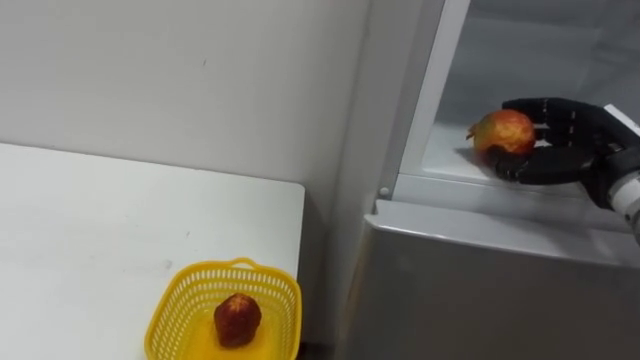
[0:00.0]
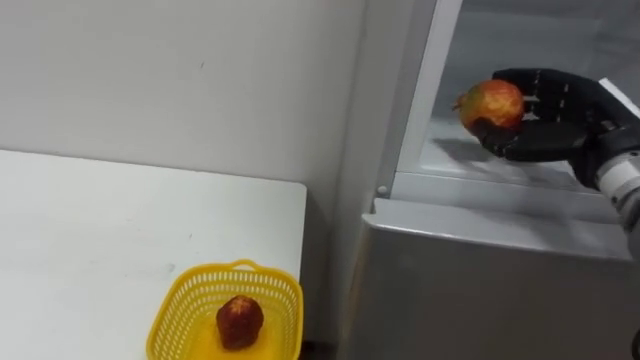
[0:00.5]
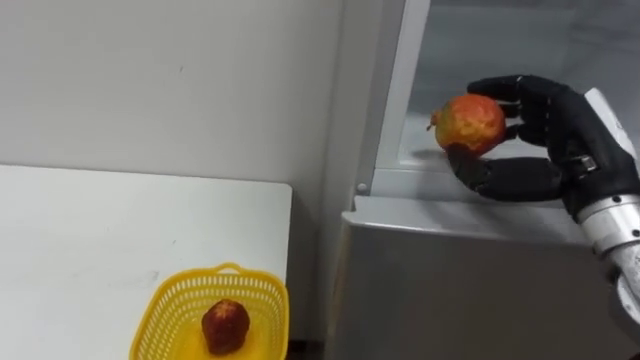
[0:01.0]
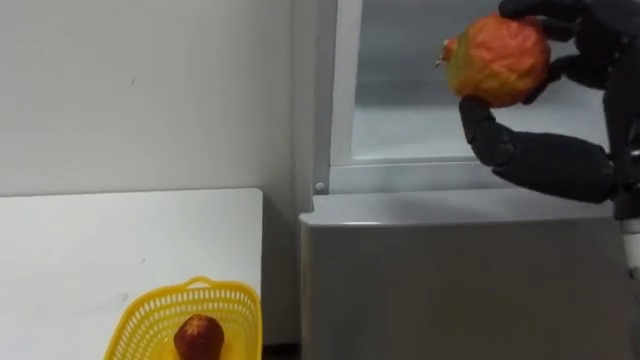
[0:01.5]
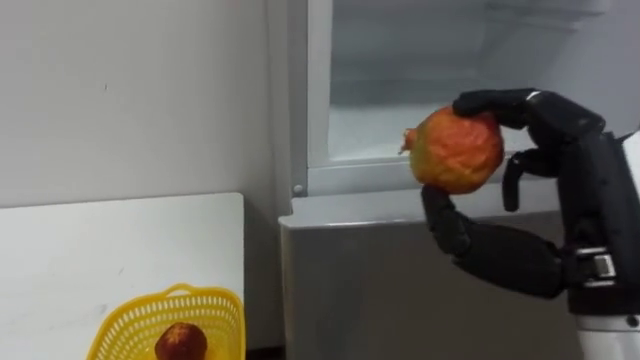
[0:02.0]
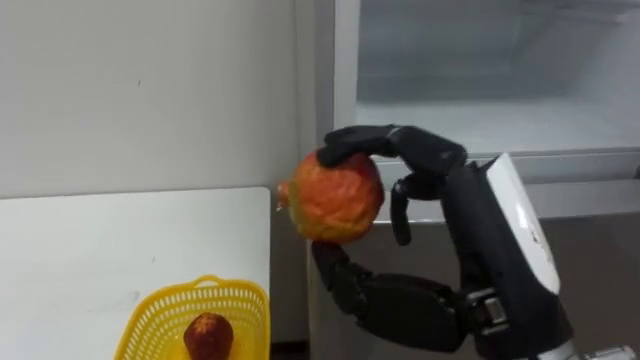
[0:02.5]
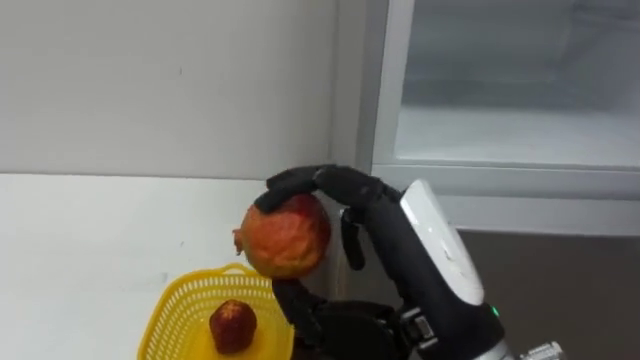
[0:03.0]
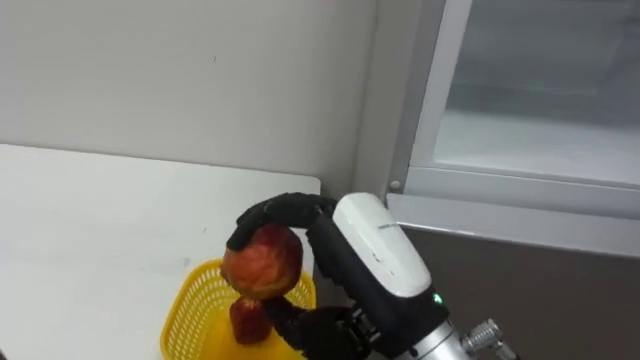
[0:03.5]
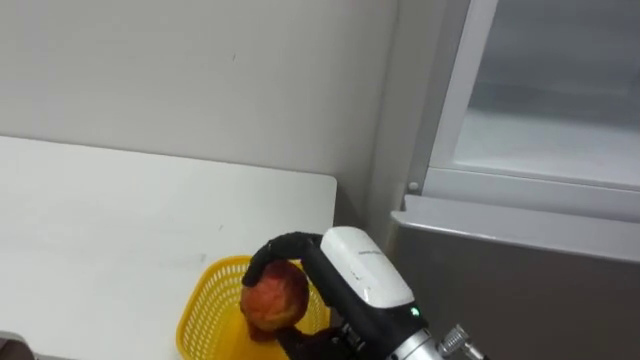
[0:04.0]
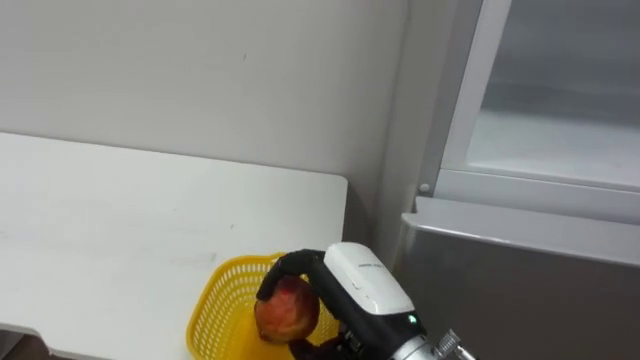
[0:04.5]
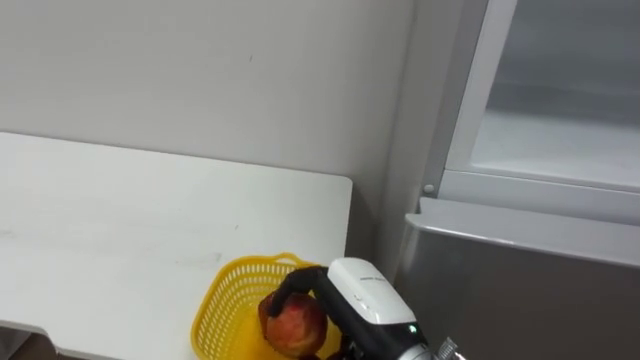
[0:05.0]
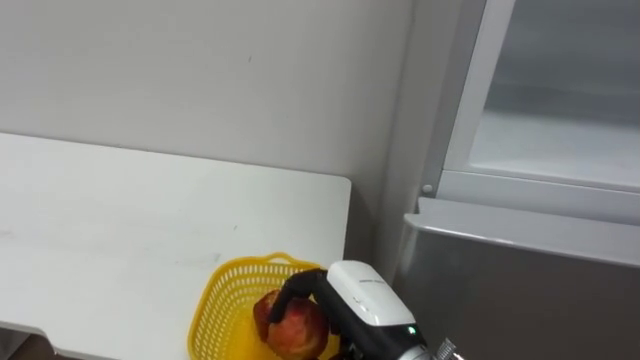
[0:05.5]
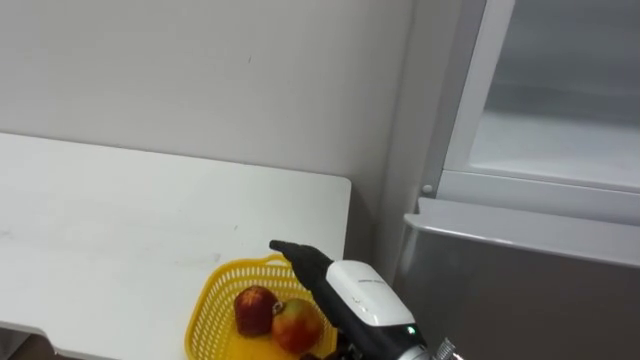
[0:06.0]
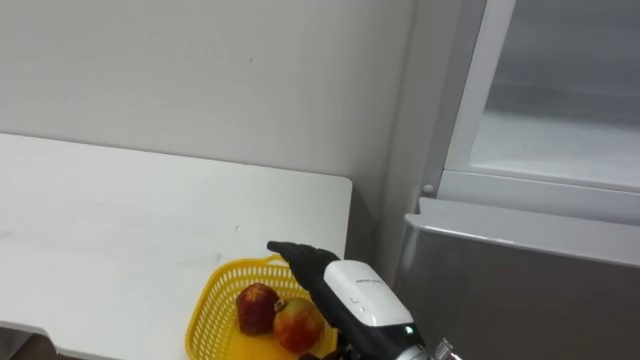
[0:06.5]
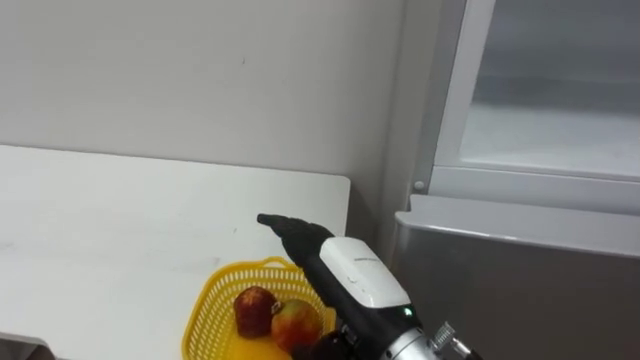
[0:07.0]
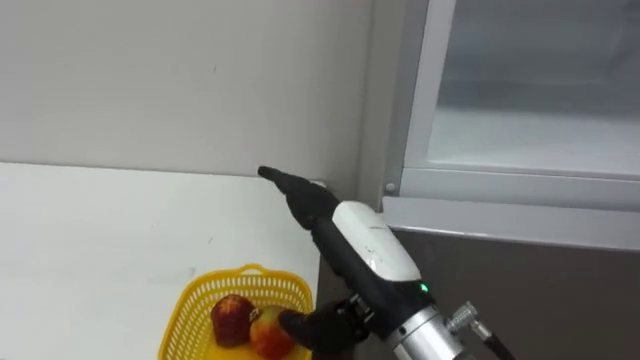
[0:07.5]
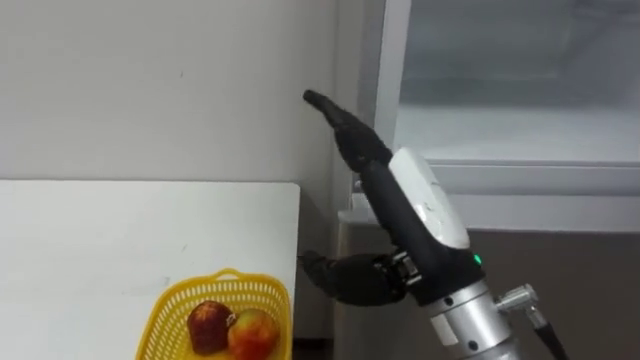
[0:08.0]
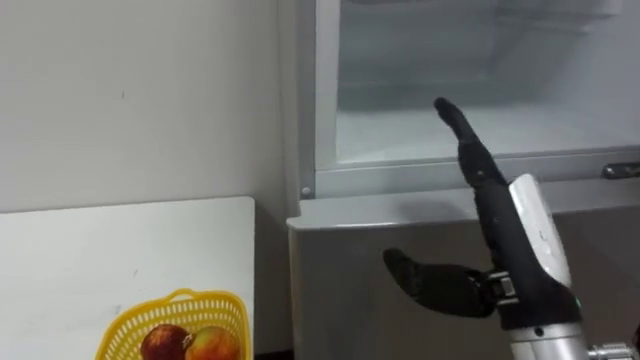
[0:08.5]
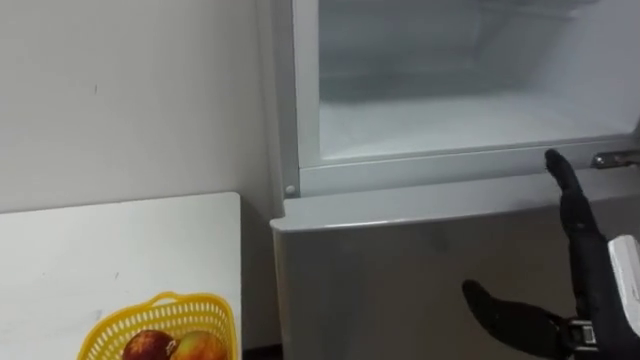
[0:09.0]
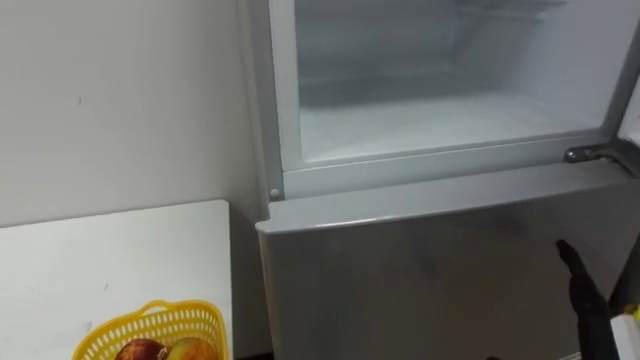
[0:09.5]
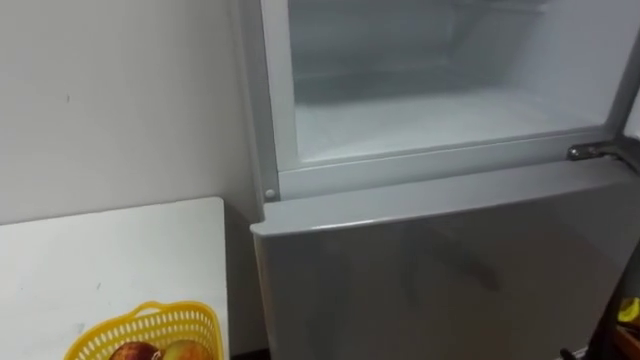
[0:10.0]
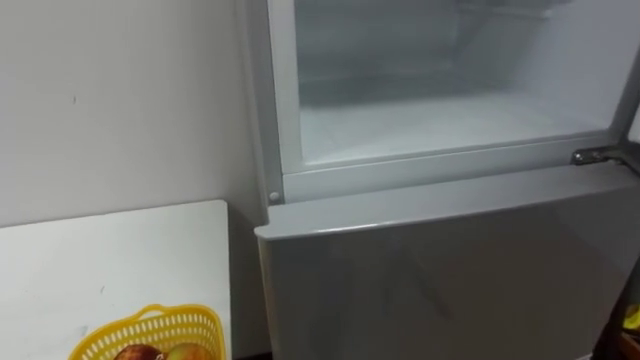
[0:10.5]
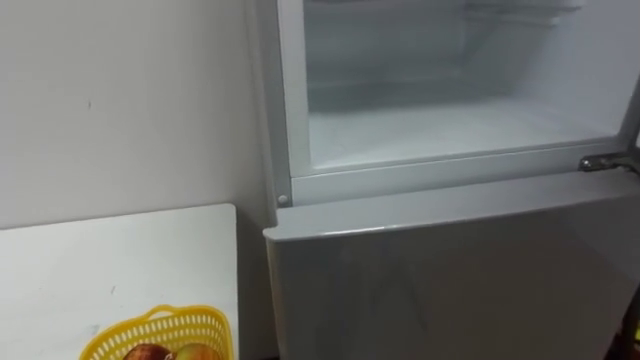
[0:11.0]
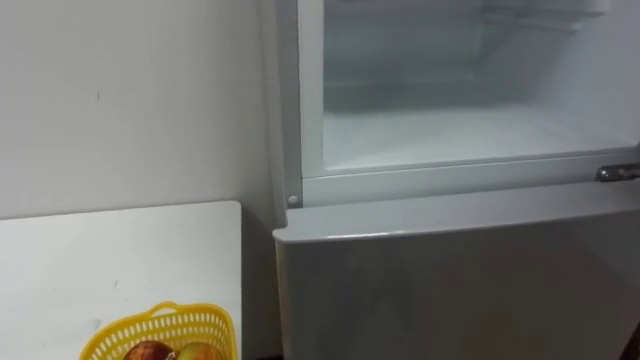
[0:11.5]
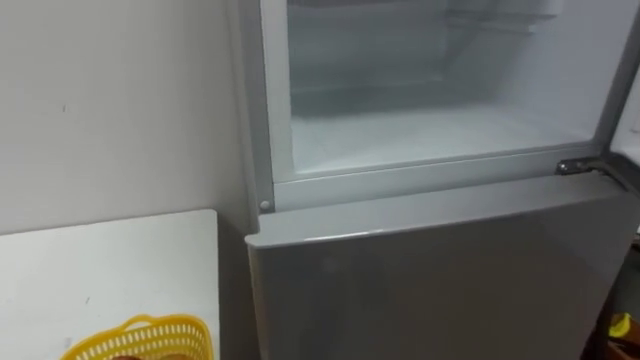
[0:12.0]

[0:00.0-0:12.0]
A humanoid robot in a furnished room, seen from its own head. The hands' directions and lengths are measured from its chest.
Task of the whole recording: Open the refrigerator door, take out the apple and the pomegranate, place them in the fruit basket on the left, and close the refrigerator door.
0:00.0 to 0:02.0: The right hand travels backward and to the left by roughly 20 cm.
0:02.0 to 0:04.0: The right hand goes about 20 cm to the left and downward.
0:04.0 to 0:06.0: The right hand travels downward by approximately 5 cm, and opens.
0:06.0 to 0:08.0: The right hand shifts roughly 10 cm upward.

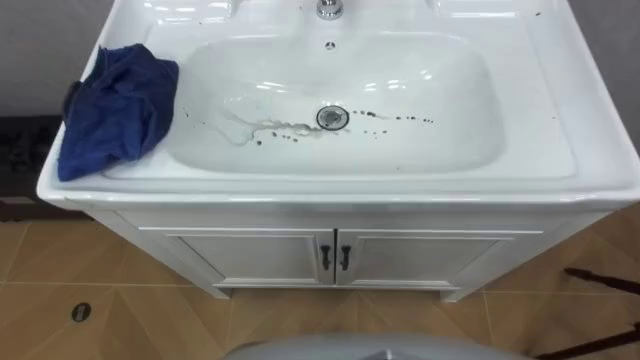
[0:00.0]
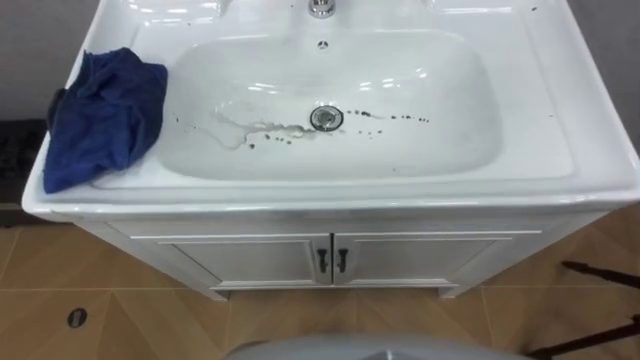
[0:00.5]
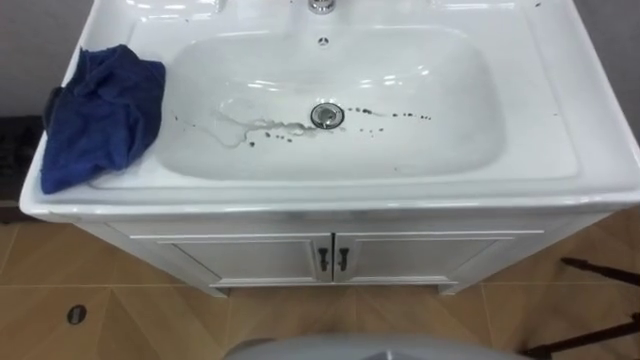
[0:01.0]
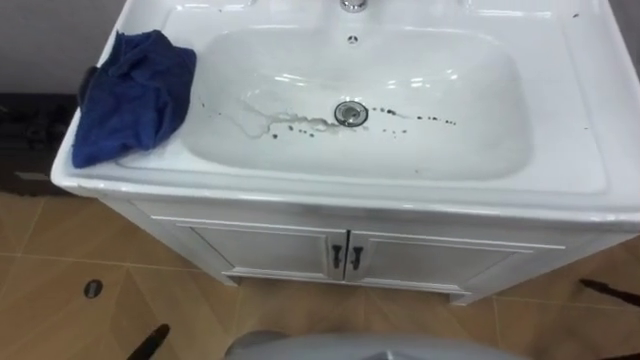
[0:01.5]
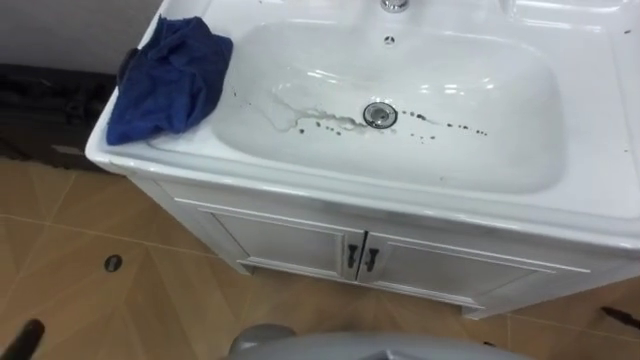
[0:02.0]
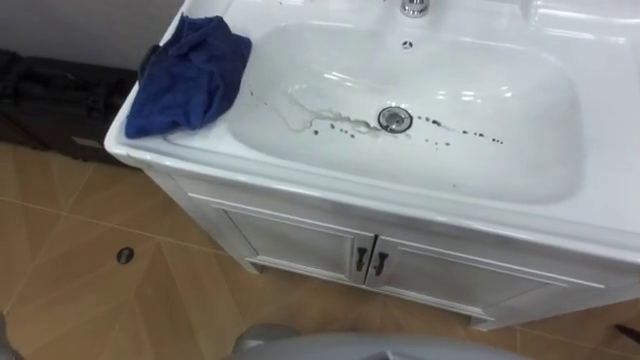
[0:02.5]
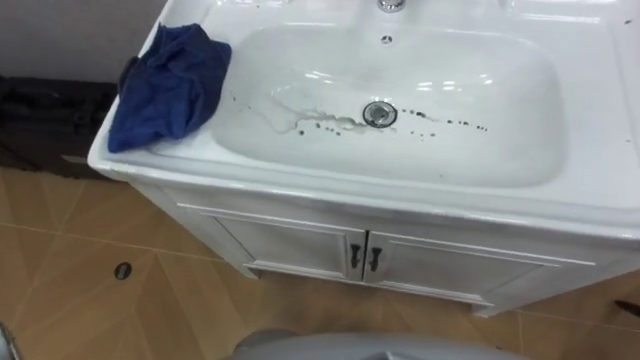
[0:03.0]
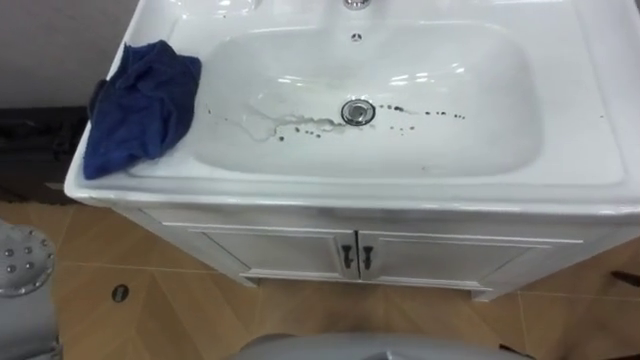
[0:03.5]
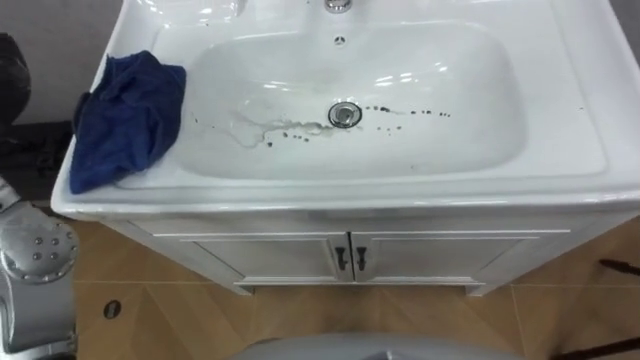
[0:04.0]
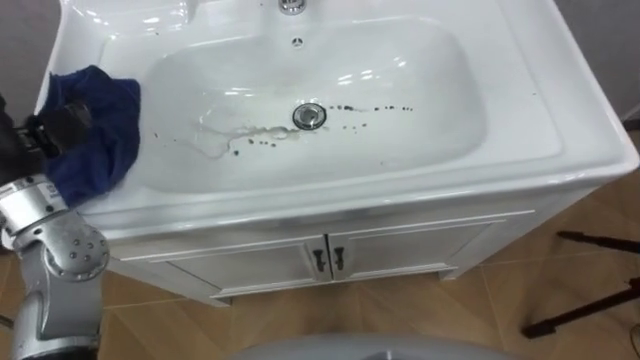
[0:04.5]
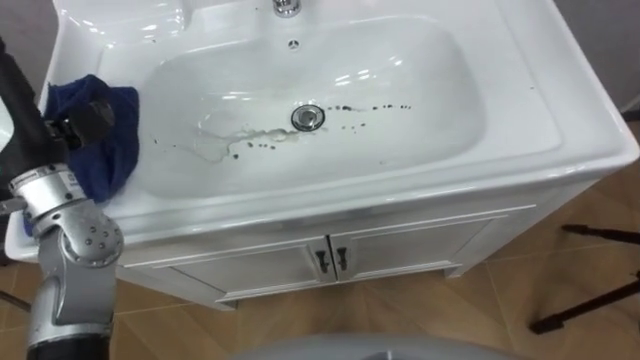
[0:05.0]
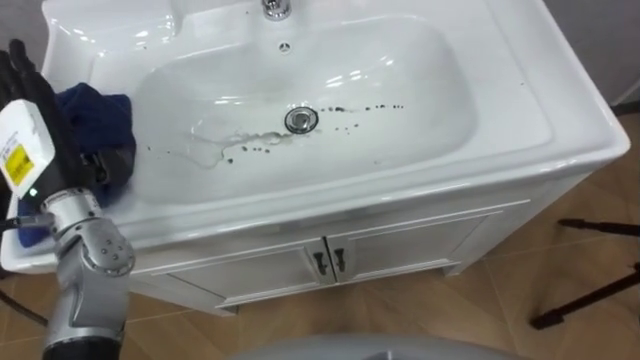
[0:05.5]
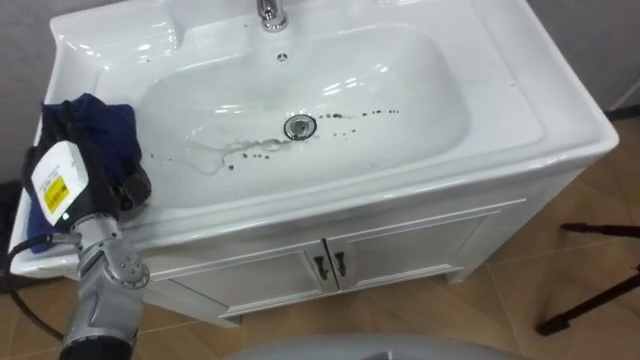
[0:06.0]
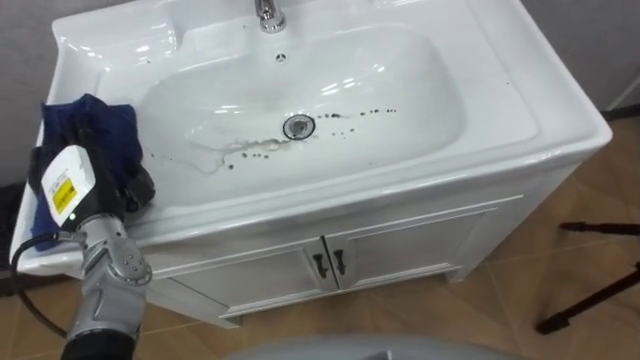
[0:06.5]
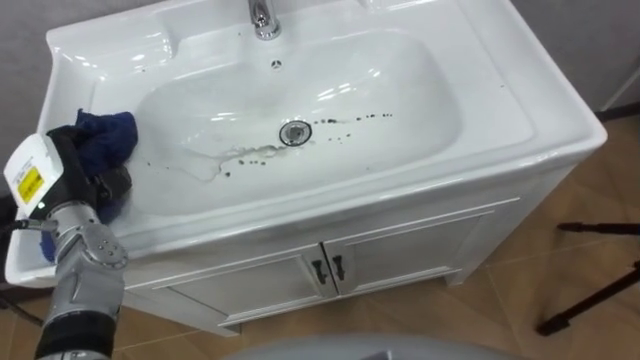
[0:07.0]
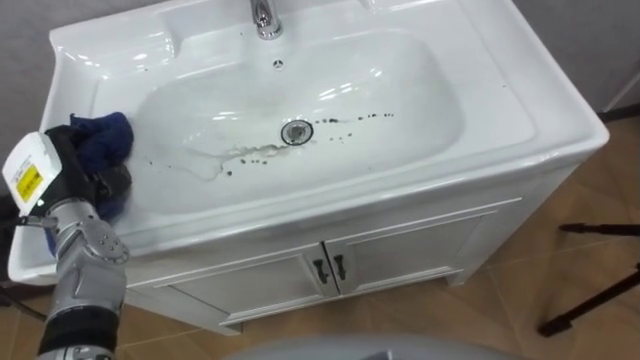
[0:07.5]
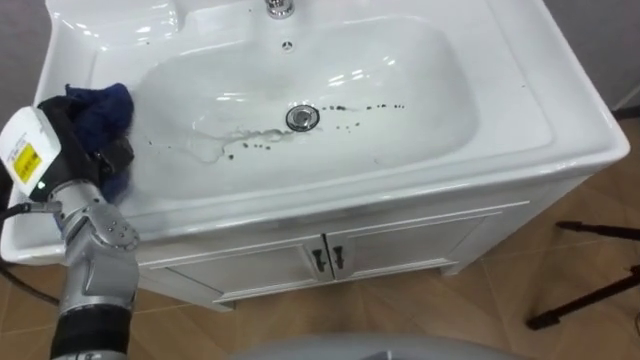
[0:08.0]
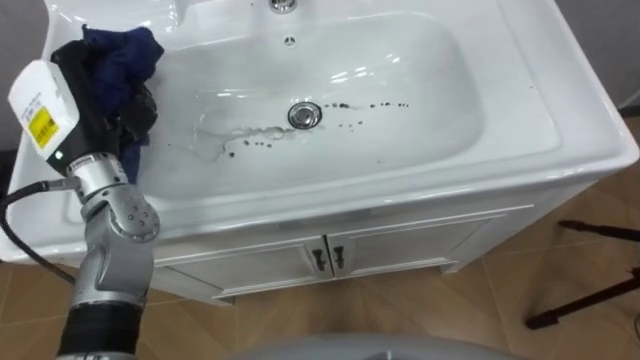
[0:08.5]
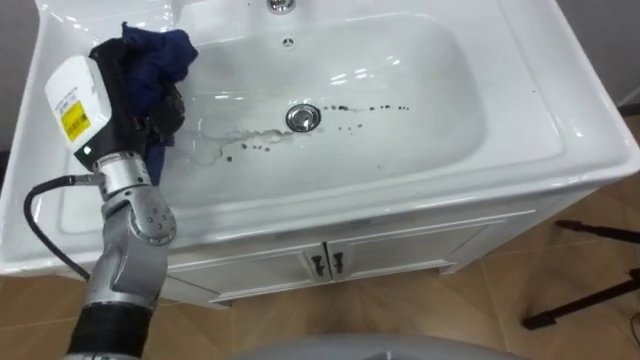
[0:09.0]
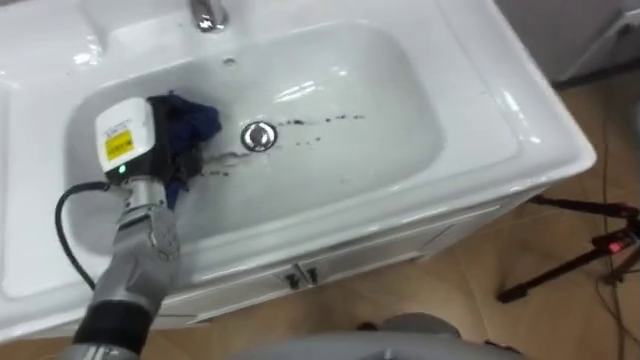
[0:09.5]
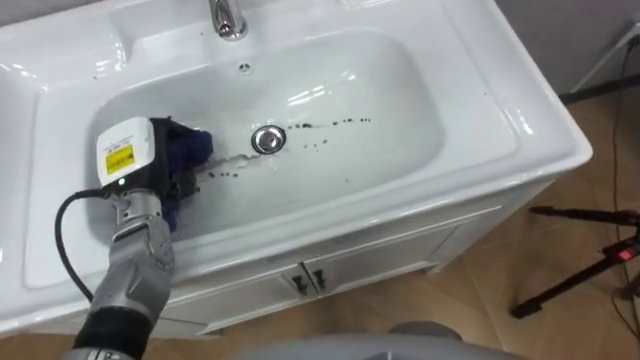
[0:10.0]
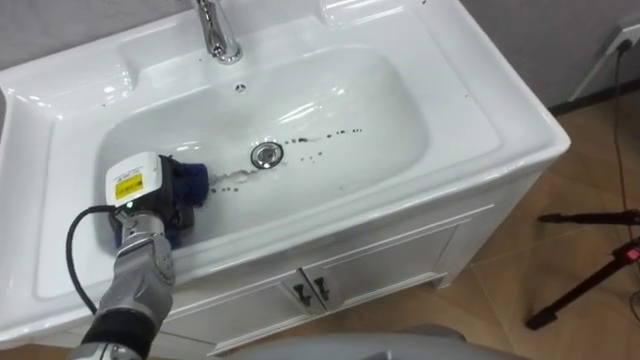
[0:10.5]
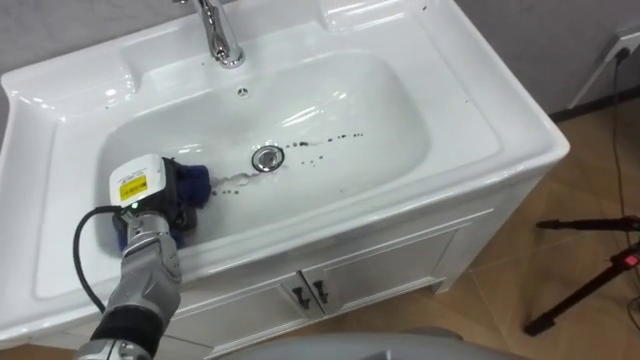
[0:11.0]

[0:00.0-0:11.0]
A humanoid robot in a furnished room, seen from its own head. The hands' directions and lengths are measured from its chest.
Task of the whole recording: Use the cloth on the right to wipe away the black stain in the sink.
0:05.5 to 0:07.5: The left hand moves downward, approximately 5 cm, and closes.
0:07.5 to 0:09.0: The left hand moves upward and to the right, some 15 cm.
0:09.0 to 0:11.0: The left hand heads downward, covering some 15 cm.
